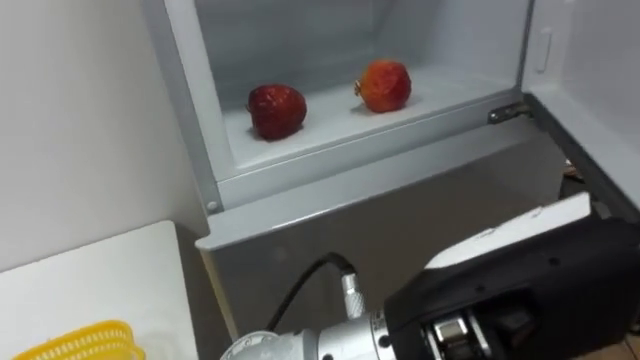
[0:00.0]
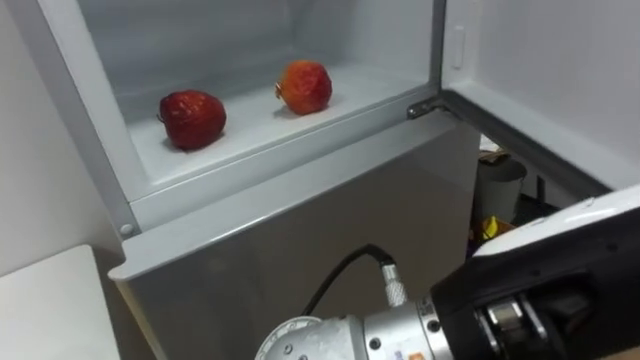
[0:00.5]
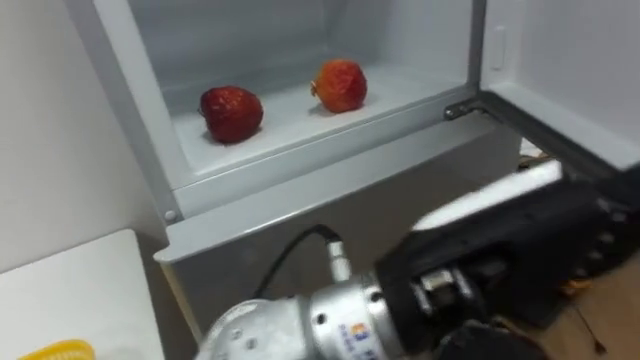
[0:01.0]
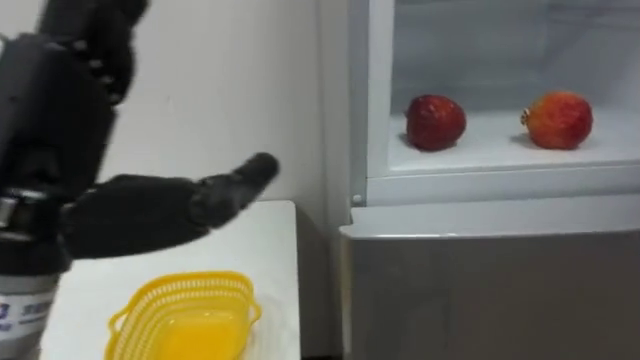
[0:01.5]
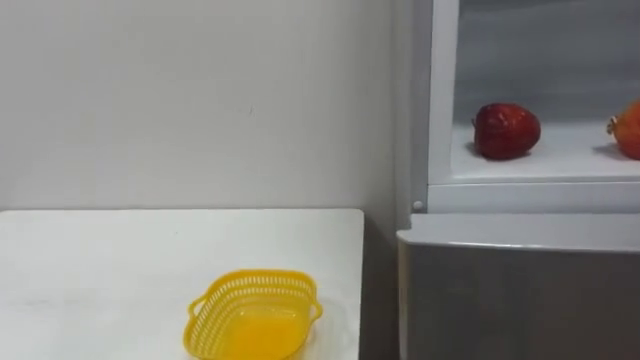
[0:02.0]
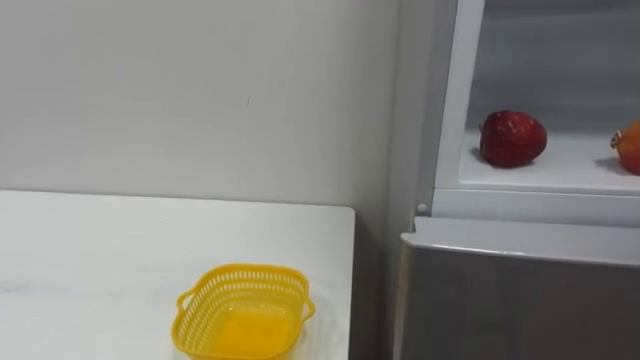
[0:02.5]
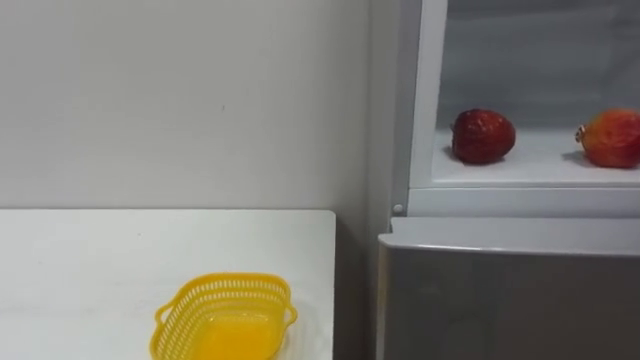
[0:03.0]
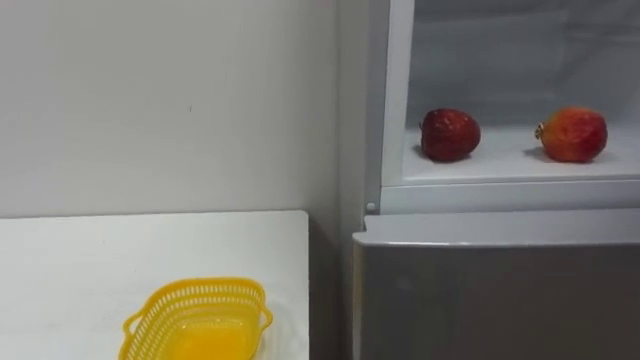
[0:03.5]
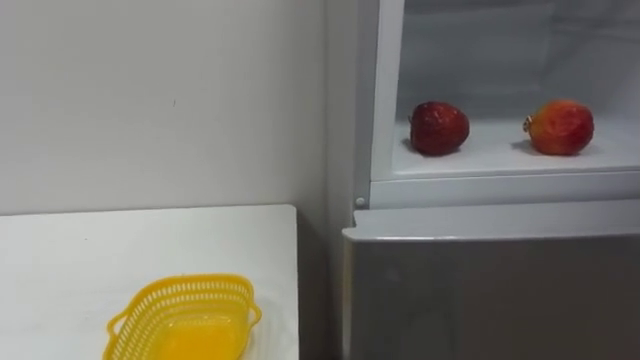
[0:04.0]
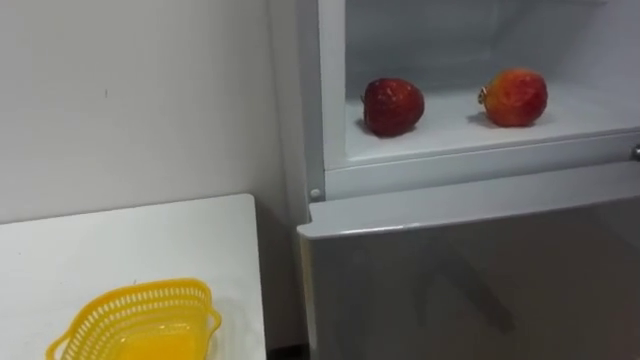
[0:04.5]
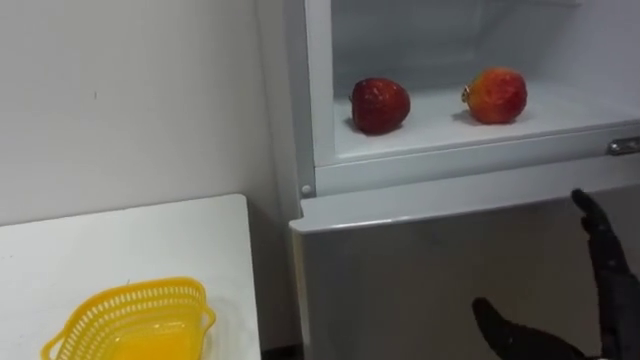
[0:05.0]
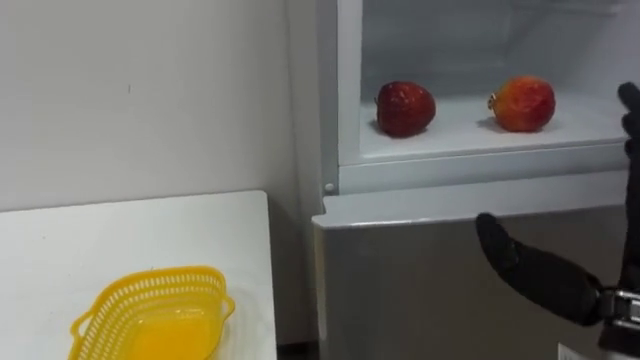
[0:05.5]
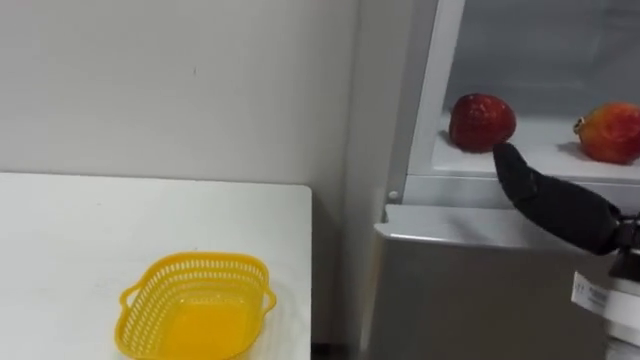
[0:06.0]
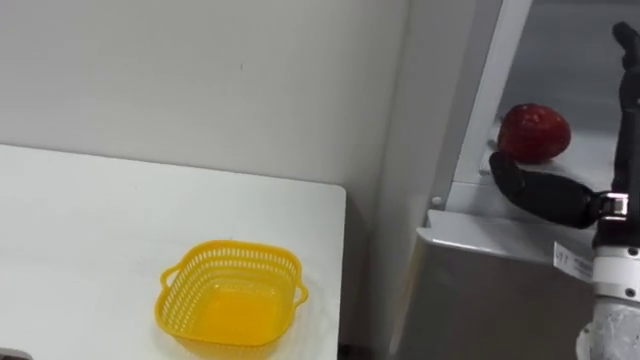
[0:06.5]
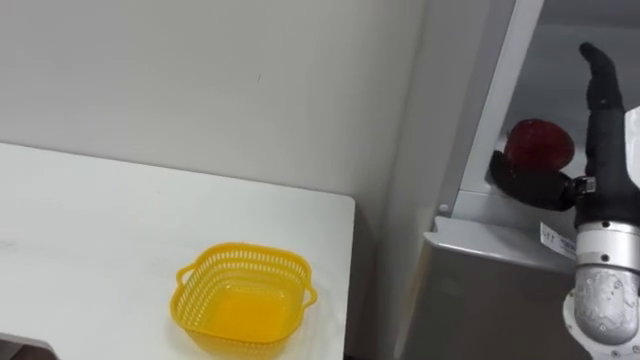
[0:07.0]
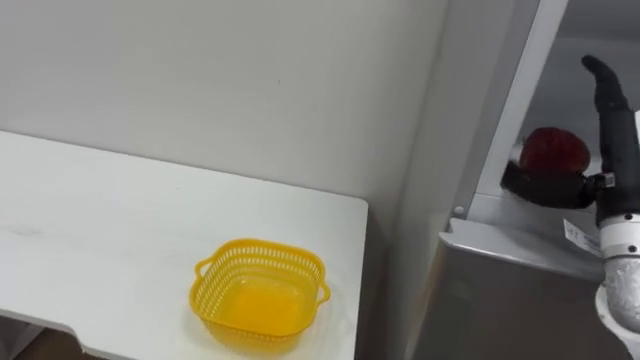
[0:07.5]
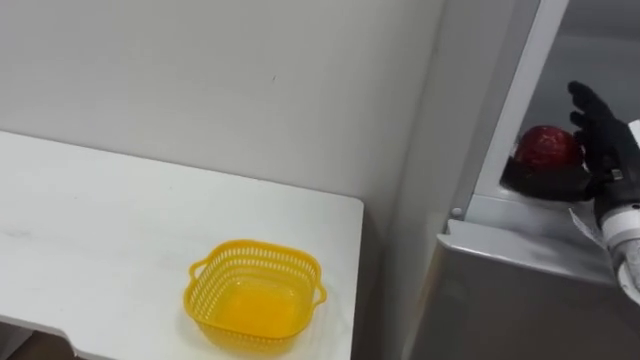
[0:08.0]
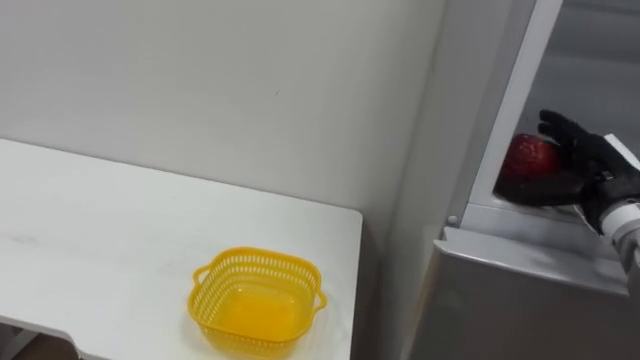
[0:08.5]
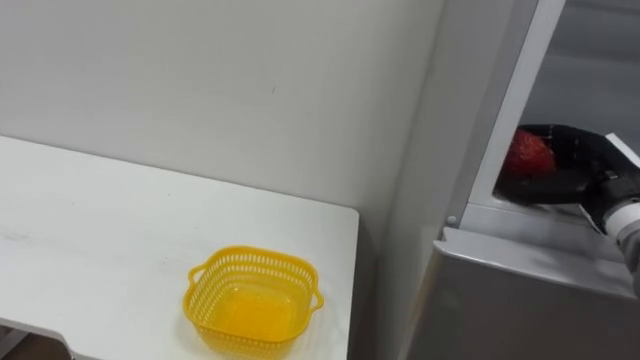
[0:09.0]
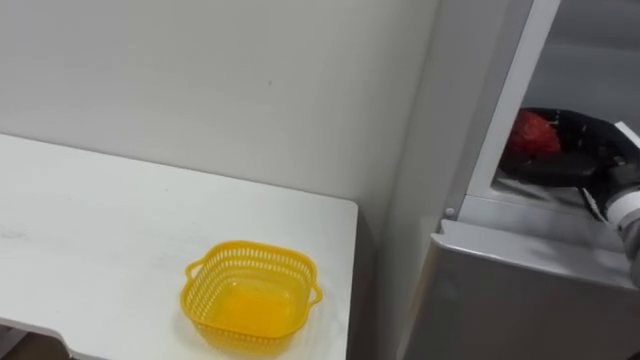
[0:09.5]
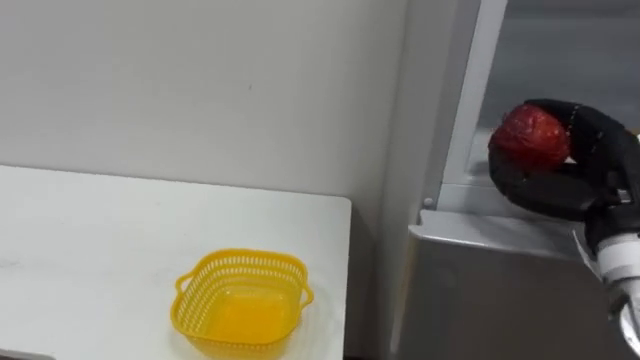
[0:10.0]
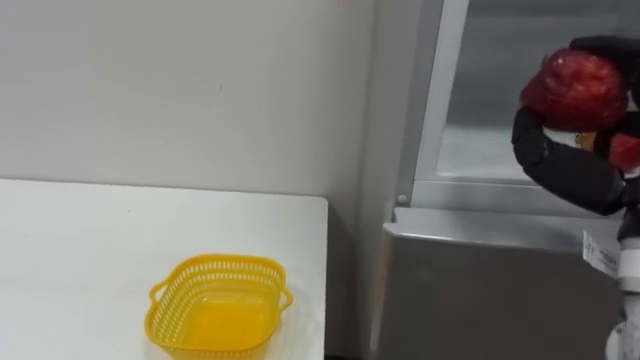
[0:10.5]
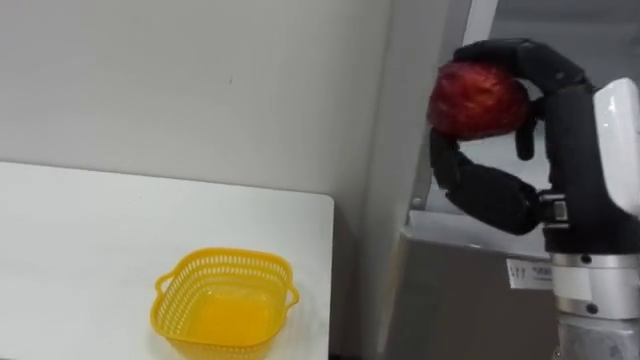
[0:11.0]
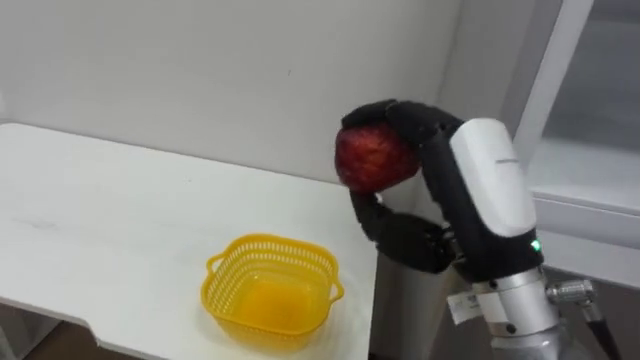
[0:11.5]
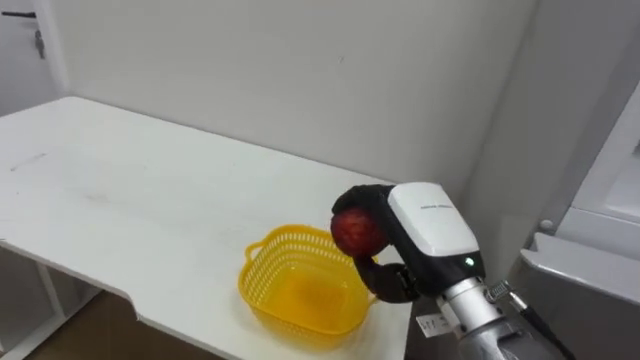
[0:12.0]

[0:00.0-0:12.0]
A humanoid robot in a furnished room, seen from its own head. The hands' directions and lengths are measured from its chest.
Task of the whole recording: Open the refrigerator door, take out the apple and the pomegranate, place them in the fruit basket on the left, and close the refrigerator door.
0:08.0 to 0:10.0: The right hand changes place by some 5 cm, and closes up.

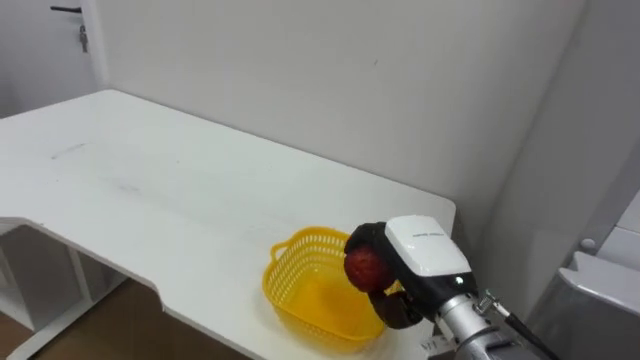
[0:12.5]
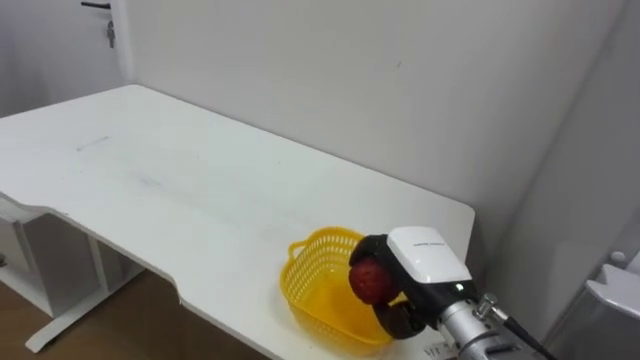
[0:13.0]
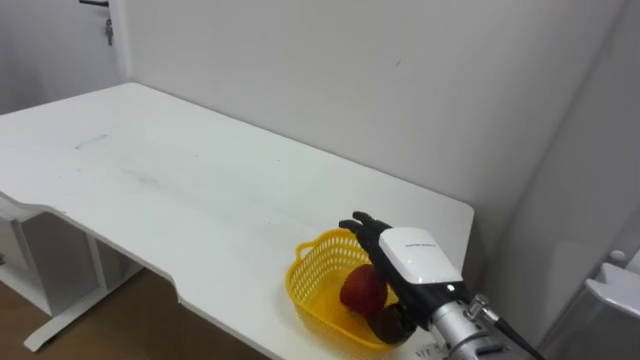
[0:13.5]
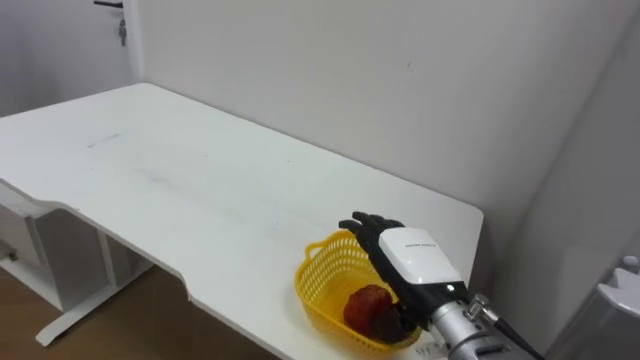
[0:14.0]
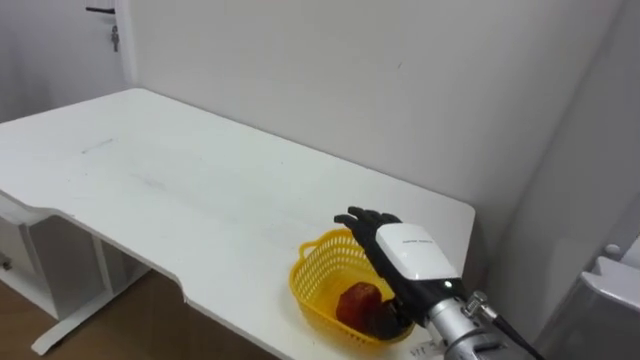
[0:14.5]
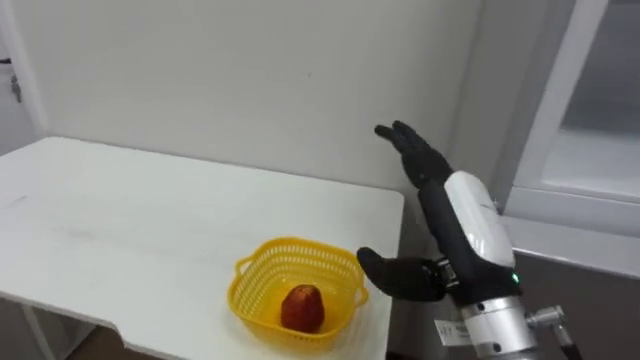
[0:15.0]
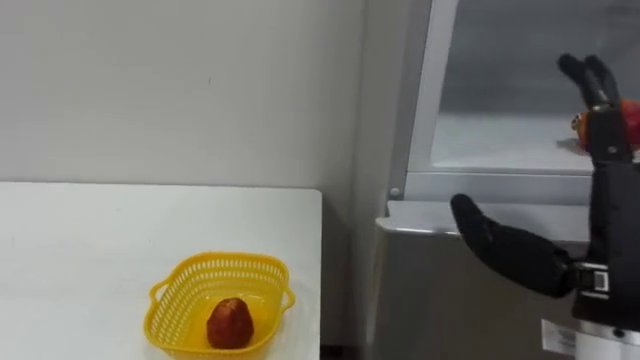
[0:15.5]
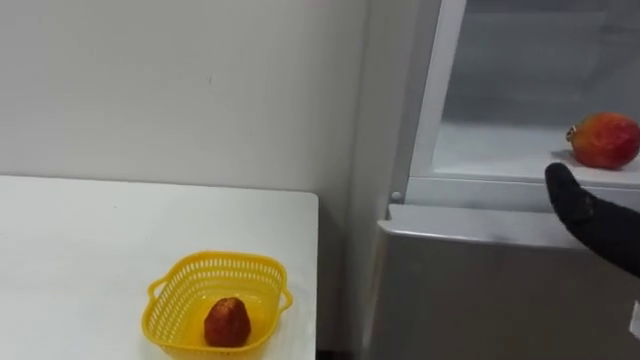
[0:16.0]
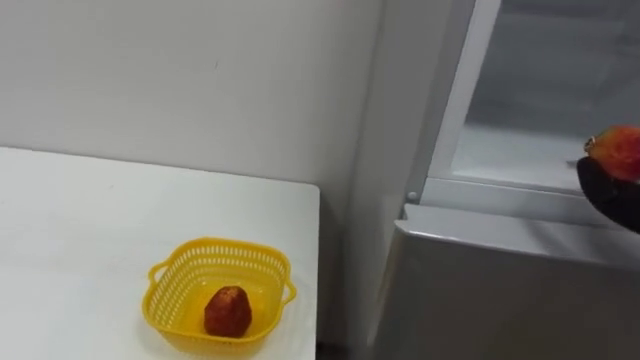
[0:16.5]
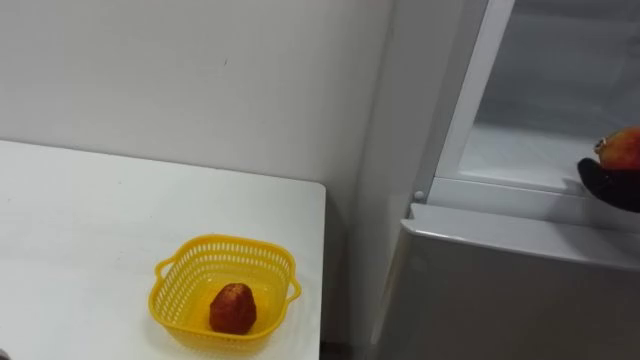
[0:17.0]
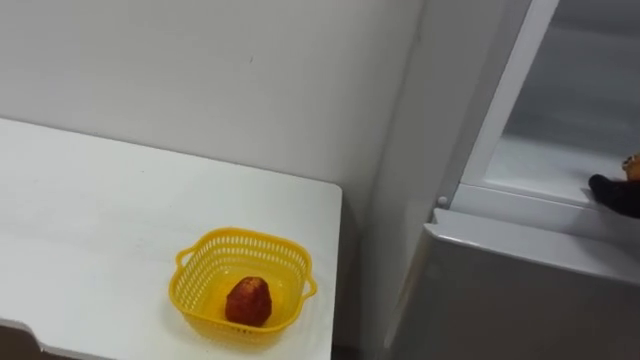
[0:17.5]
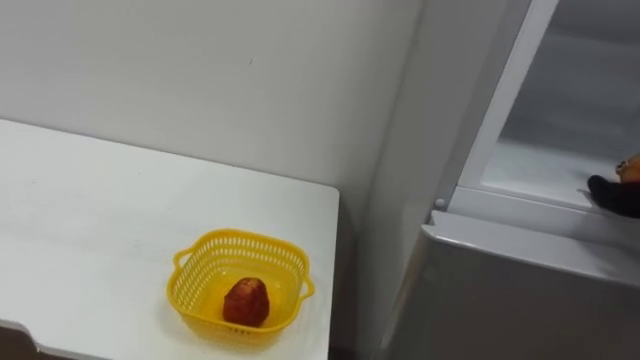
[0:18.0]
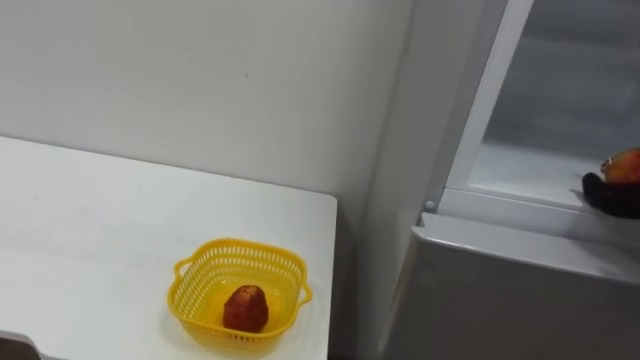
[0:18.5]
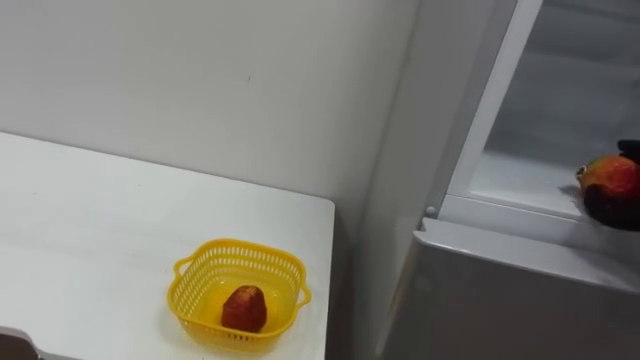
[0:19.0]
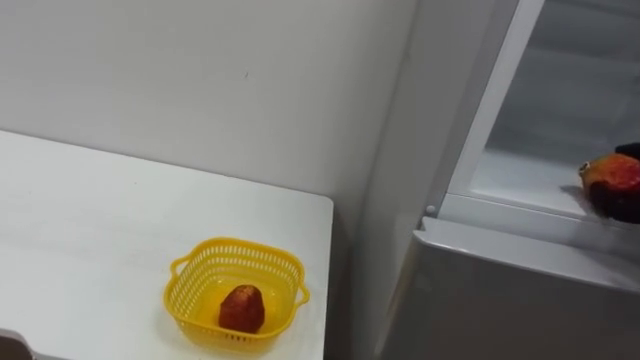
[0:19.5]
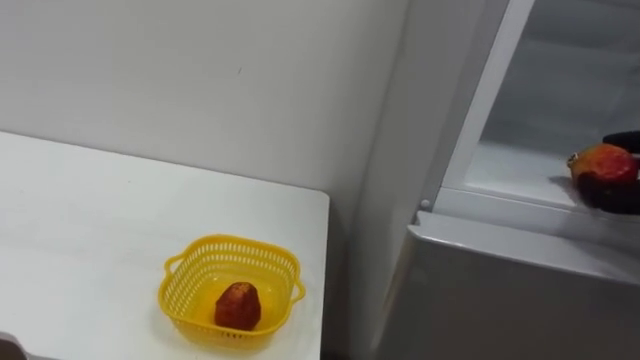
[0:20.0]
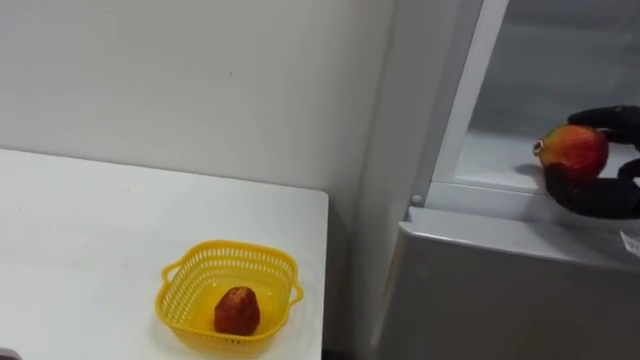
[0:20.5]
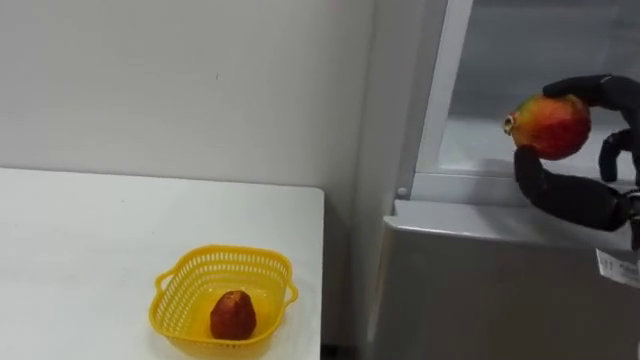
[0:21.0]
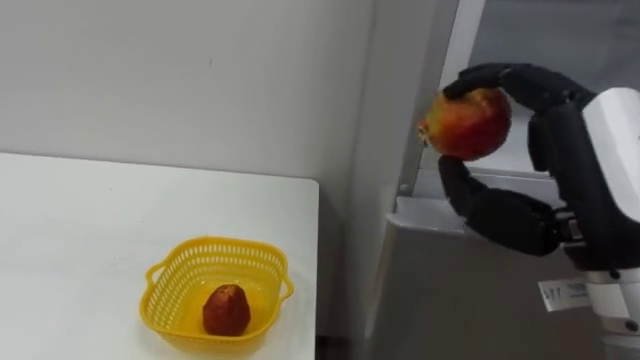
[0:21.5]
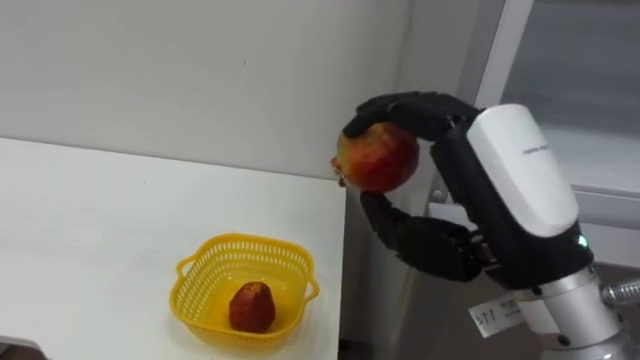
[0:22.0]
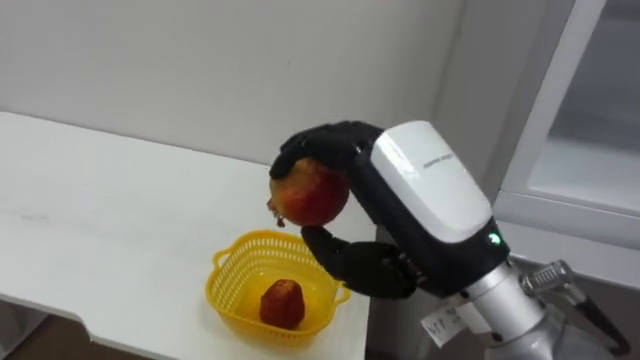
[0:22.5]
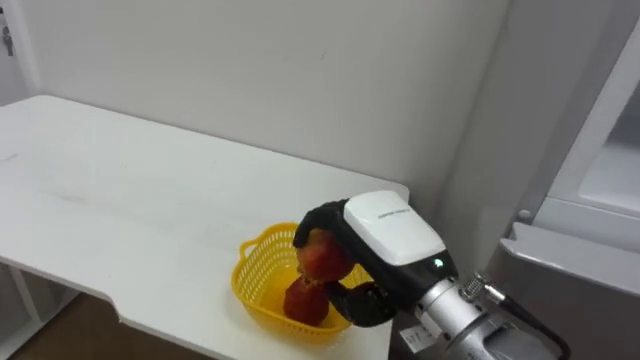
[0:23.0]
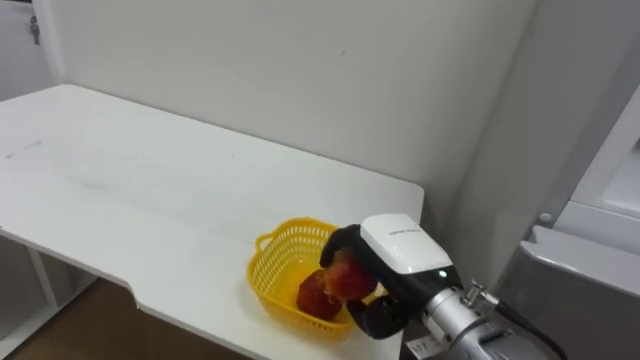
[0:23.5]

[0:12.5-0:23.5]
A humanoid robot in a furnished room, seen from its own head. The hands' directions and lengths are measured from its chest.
Task of the whole recording: Open the refrigerator door, take out the apple and the pomegranate, place them in the fruit basket on the left, and close the refrigerator door.
0:12.5 to 0:14.5: The right hand opens its fingers.
0:21.5 to 0:23.5: The right hand is displaced downward, to the left and forward by roughly 20 cm.
